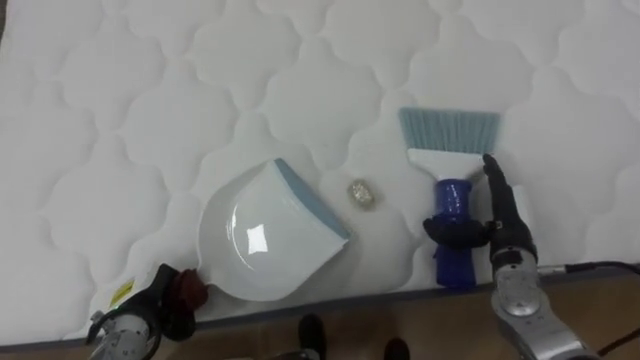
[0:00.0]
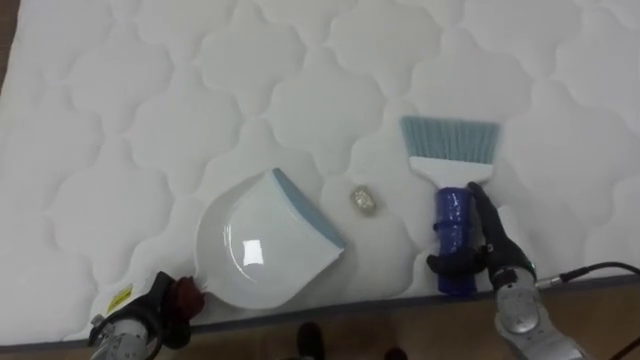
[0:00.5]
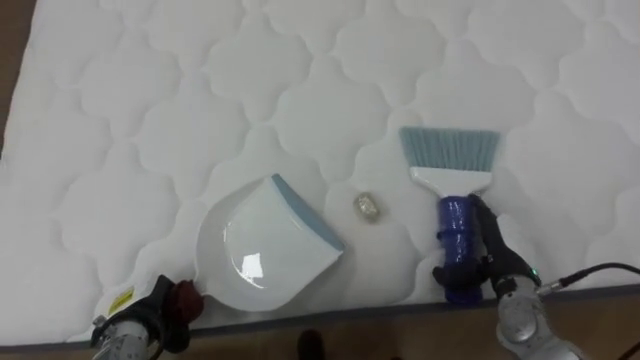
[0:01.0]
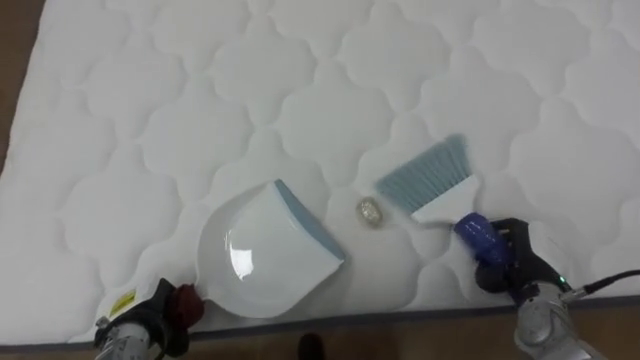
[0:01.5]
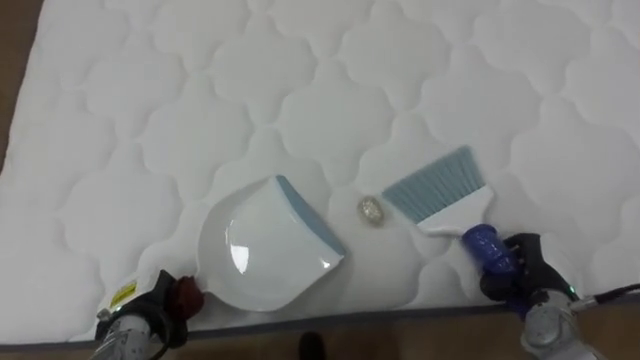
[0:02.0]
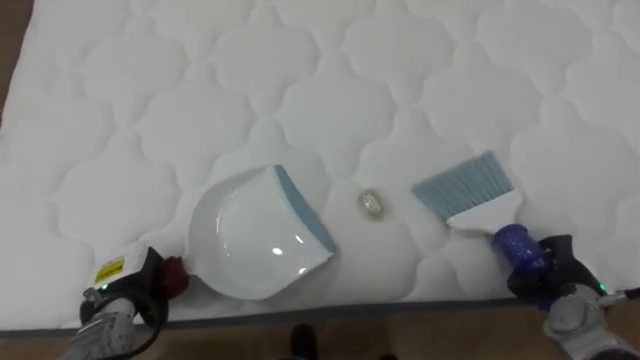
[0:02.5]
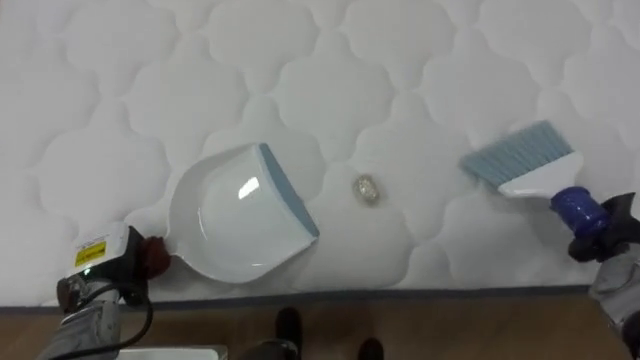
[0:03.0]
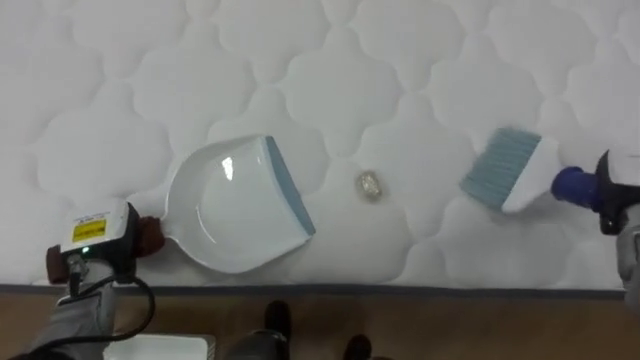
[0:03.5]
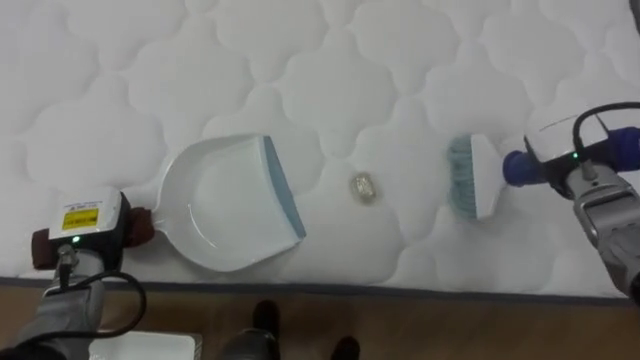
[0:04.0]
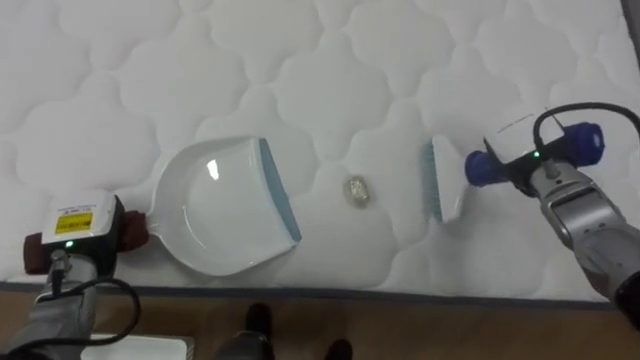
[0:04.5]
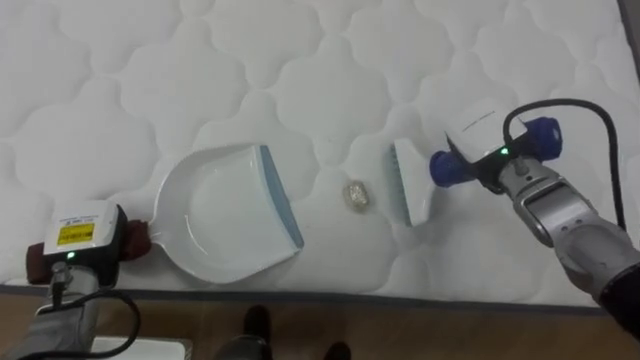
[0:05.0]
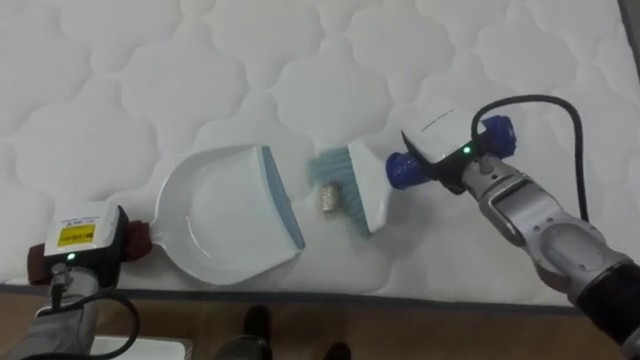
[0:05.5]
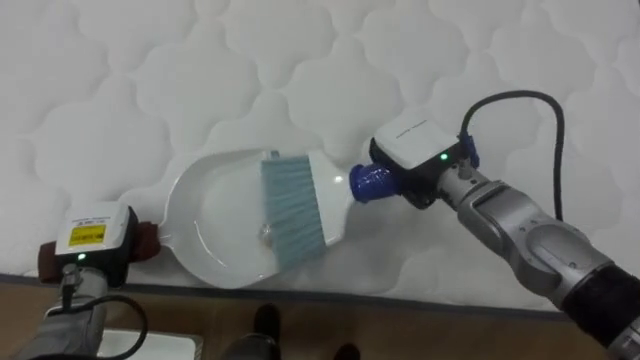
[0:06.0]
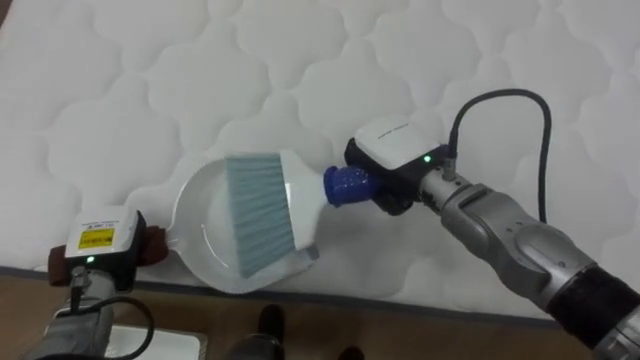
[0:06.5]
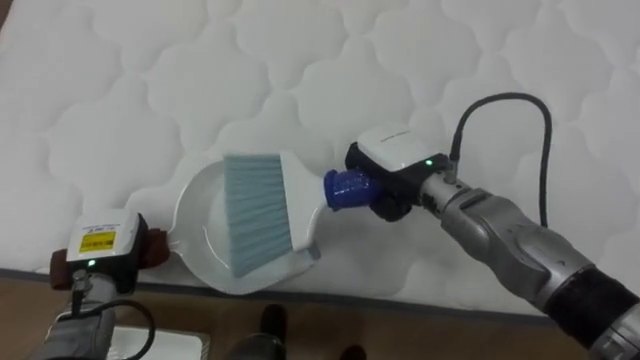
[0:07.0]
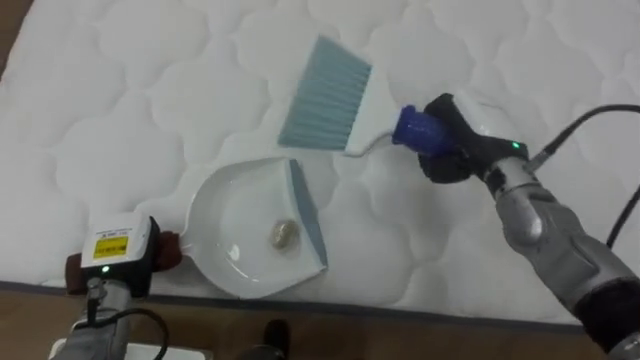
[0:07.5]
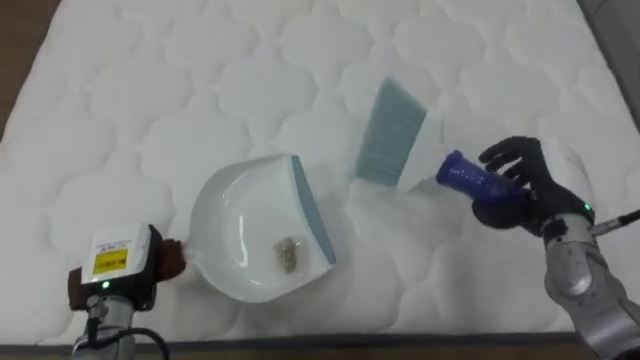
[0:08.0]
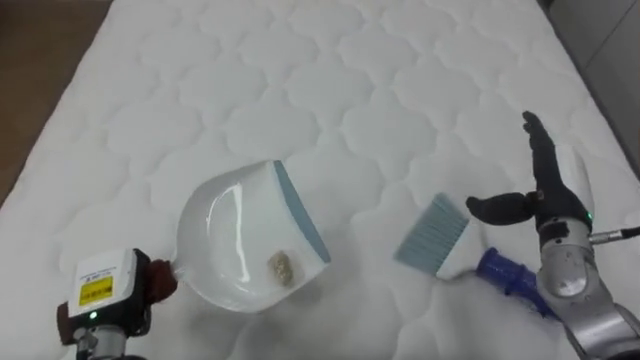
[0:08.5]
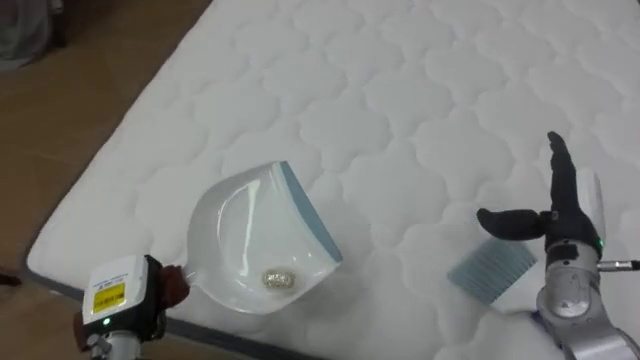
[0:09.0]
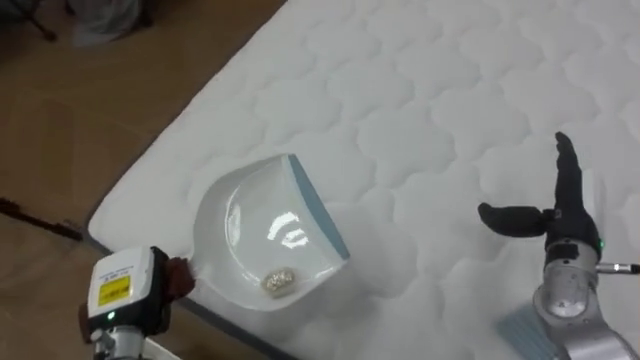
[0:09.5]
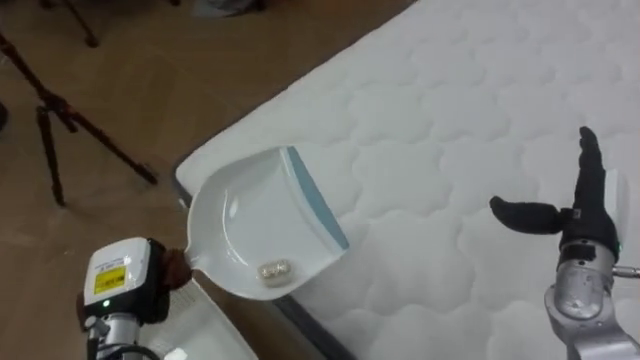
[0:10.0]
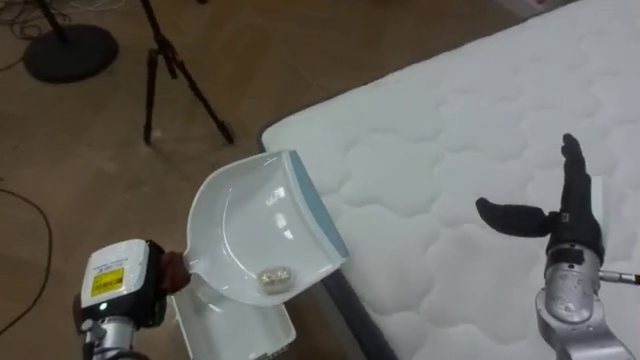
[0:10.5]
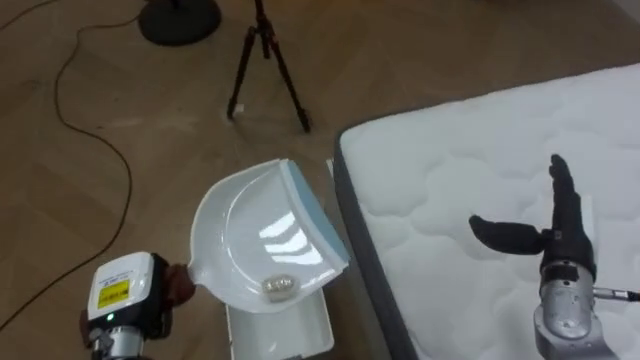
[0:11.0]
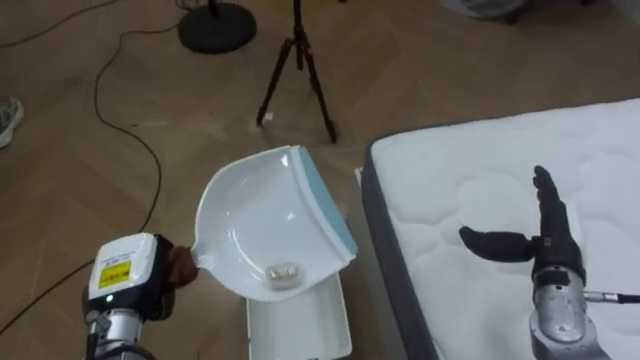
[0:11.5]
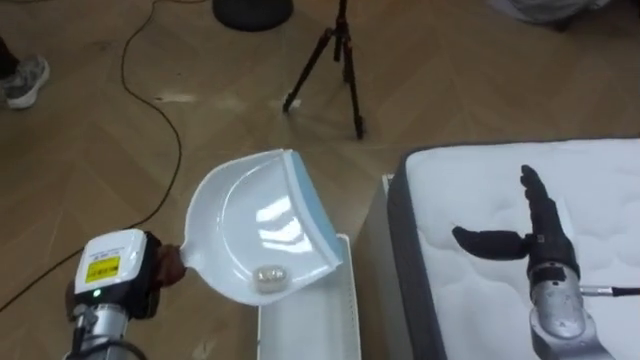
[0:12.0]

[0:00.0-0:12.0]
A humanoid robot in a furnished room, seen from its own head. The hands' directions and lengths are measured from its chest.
Task of the whole recording: Pick up the brush on your right and the dustpan on your left. Use the brush to sweep the crumpled paper on the bed into the dustpan, then turn left and empty it into the basket.
0:00.0 to 0:02.0: The right hand heads downward, to the right and backward, covering some 10 cm, and closes its fingers.
0:02.0 to 0:04.0: The left hand is displaced upward and forward by about 10 cm; the right hand heads upward and forward, covering approximately 20 cm.
0:04.0 to 0:06.0: The right hand is displaced to the left by about 20 cm.
0:06.0 to 0:08.0: The right hand goes approximately 15 cm to the right, and opens up.
0:08.0 to 0:10.0: The robot rotates some 45 degrees to its left. The right hand shifts by roughly 5 cm, and opens up.
0:10.0 to 0:12.0: The robot rotates approximately 40 degrees to its left. The right hand changes place by about 5 cm.

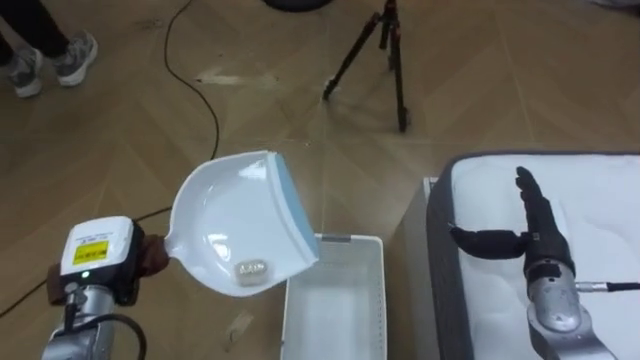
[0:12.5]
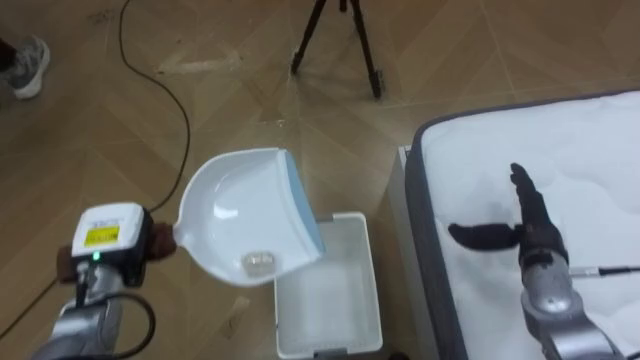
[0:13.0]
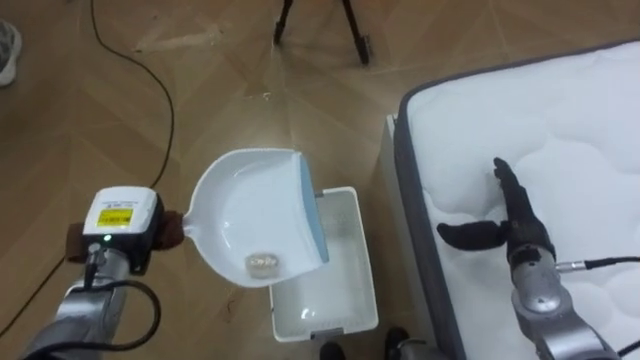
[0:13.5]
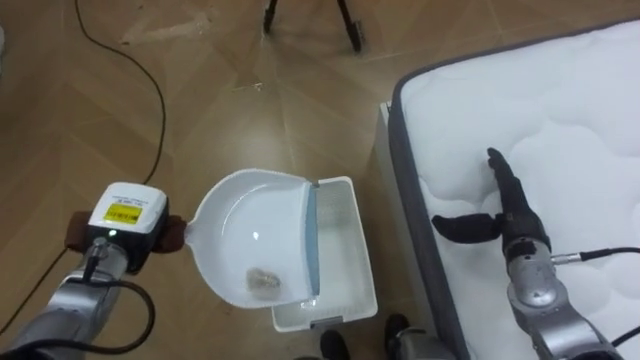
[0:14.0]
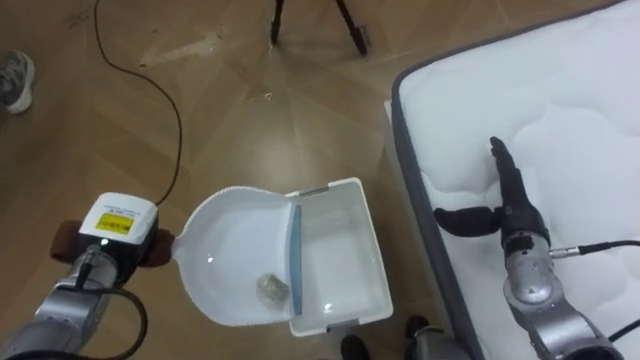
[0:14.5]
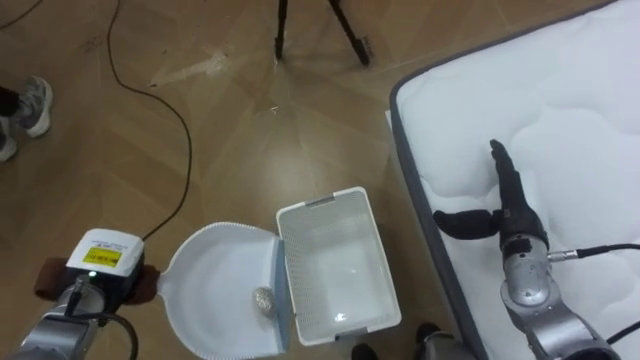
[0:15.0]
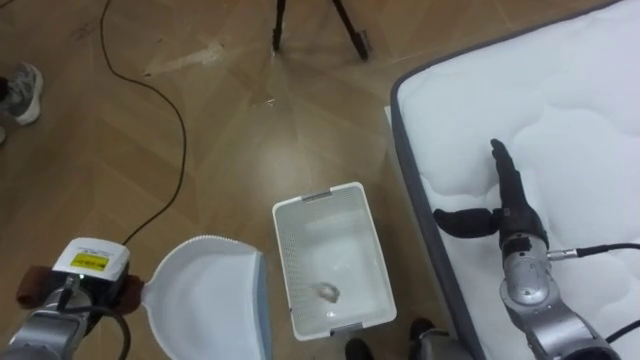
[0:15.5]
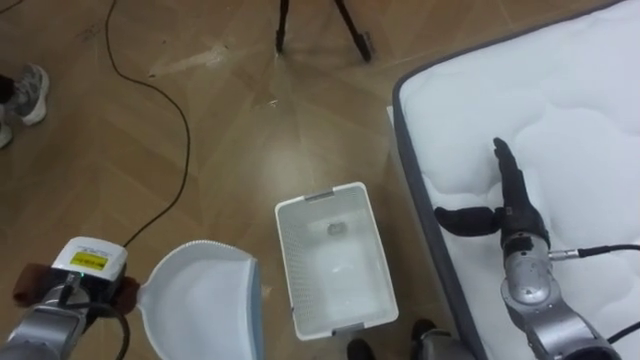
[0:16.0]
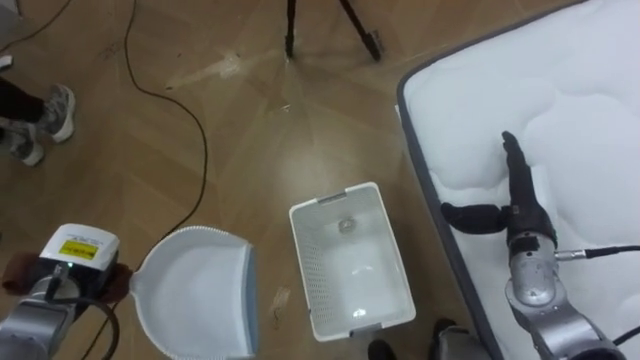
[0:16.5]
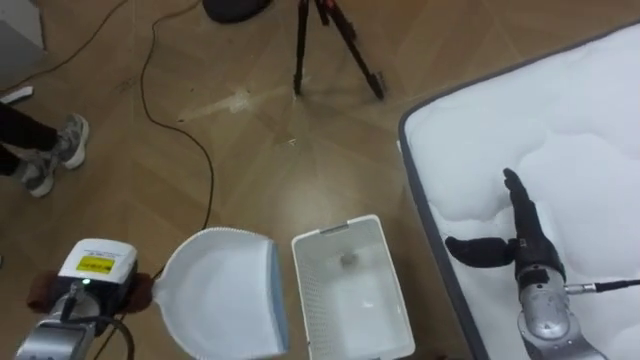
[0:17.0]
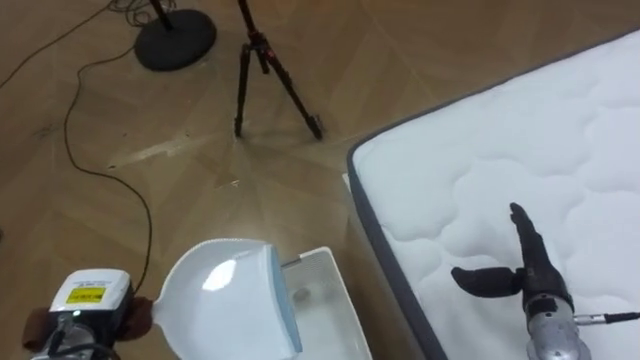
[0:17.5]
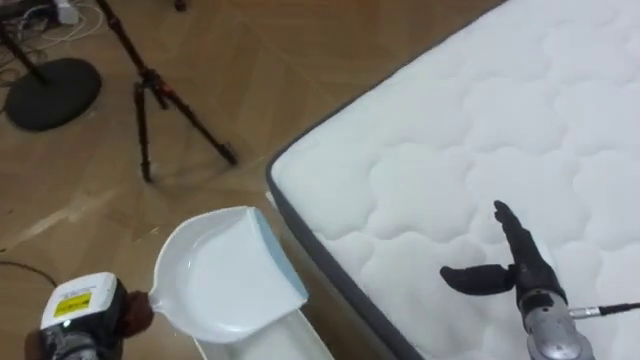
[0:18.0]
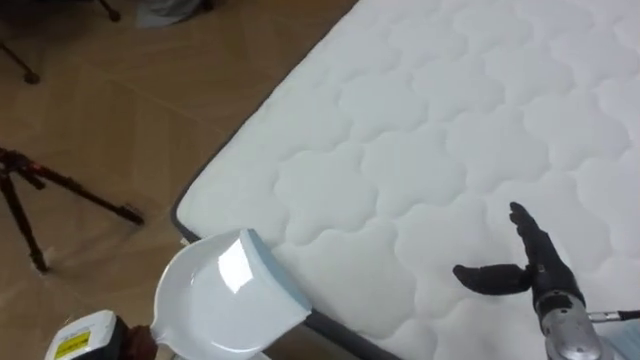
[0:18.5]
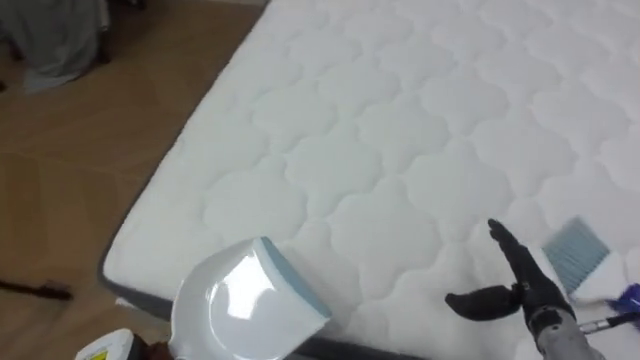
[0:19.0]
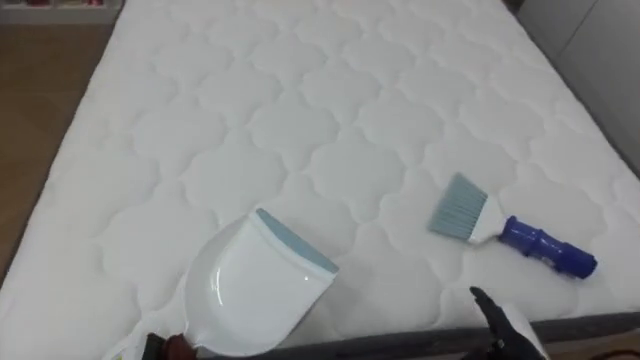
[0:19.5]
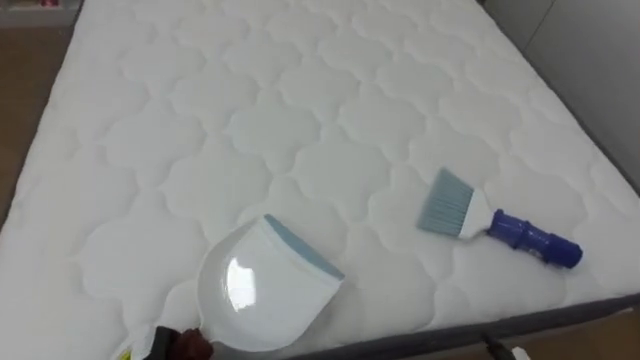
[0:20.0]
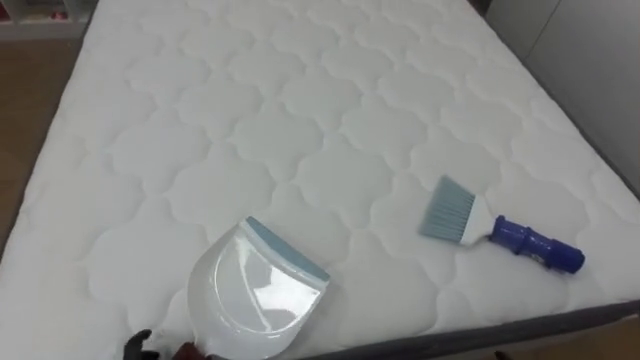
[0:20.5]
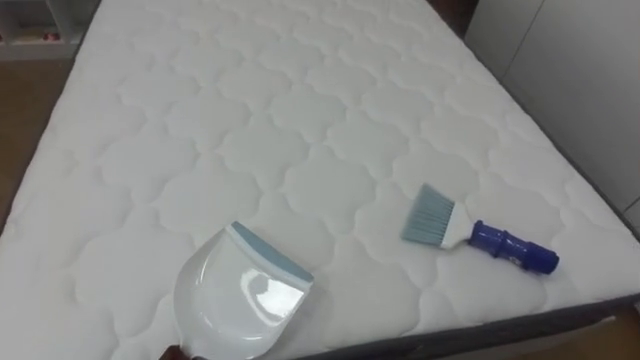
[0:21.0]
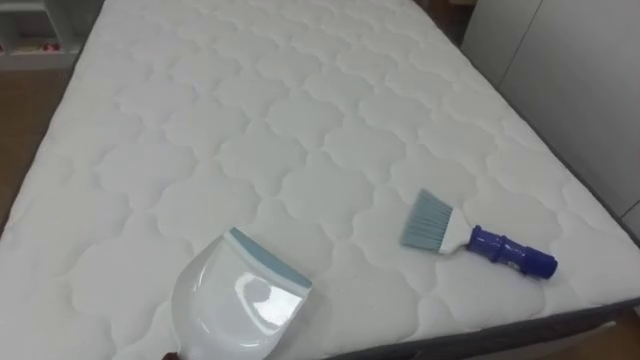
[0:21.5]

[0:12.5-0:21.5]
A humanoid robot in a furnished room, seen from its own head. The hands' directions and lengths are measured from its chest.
Task of the whole recording: Pick up the brush on your right and the dustpan on your left. Use the brush to sweep the crumpled paper on the bed into the dustpan, then turn left and empty it into the basket.
0:14.5 to 0:17.0: The left hand is displaced backward by roughly 5 cm.
0:17.0 to 0:19.5: The robot turns to its right by some 90 degrees. The right hand is displaced backward and downward by some 15 cm.
